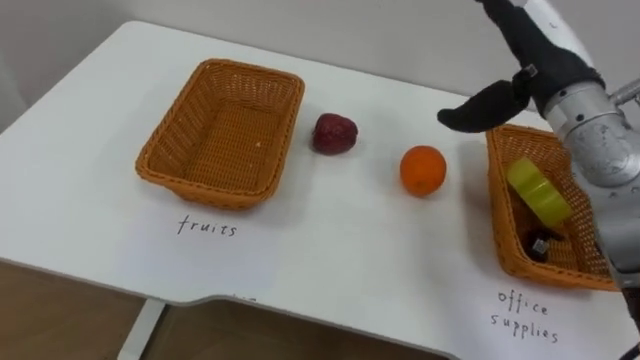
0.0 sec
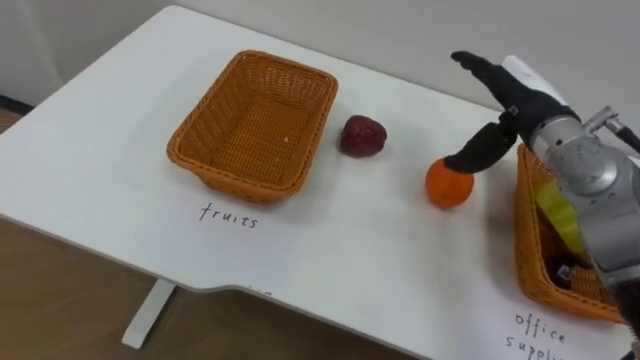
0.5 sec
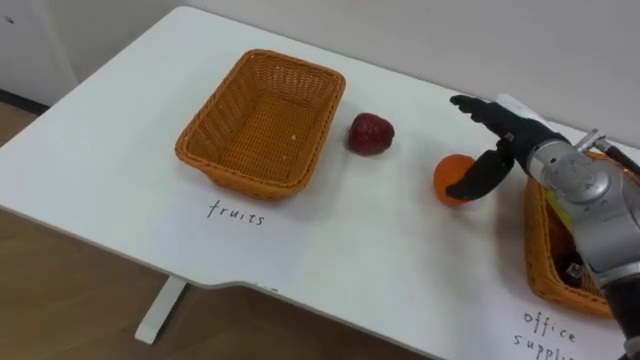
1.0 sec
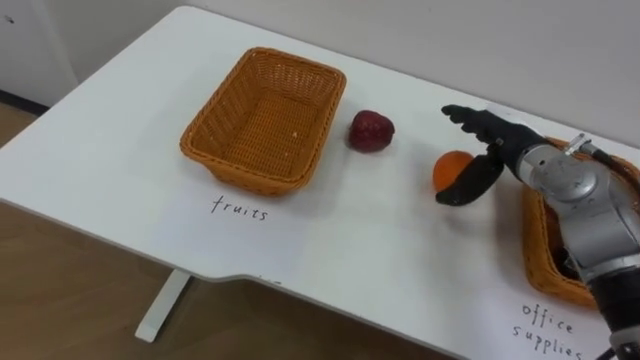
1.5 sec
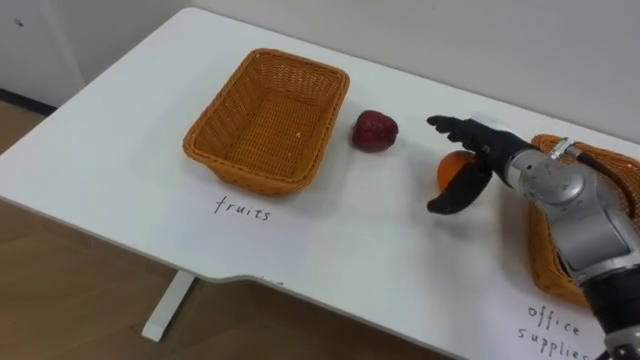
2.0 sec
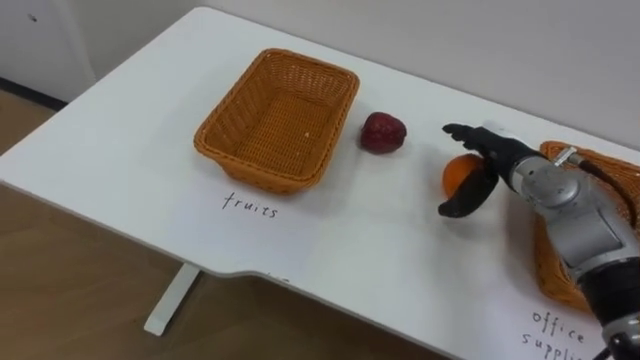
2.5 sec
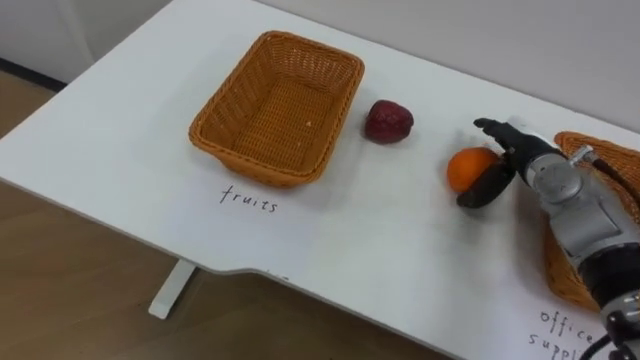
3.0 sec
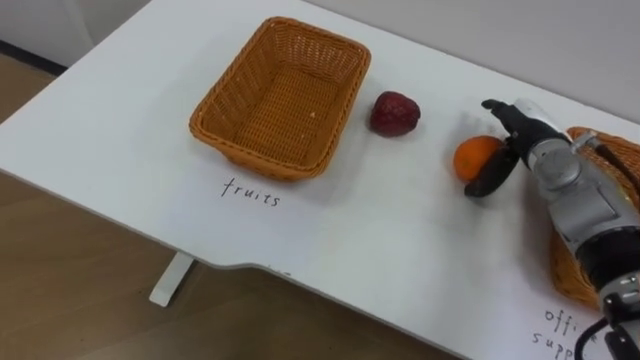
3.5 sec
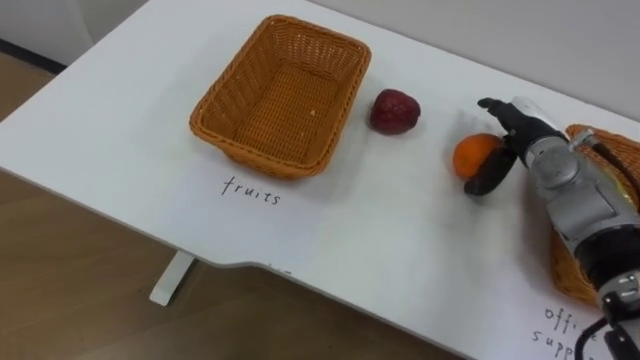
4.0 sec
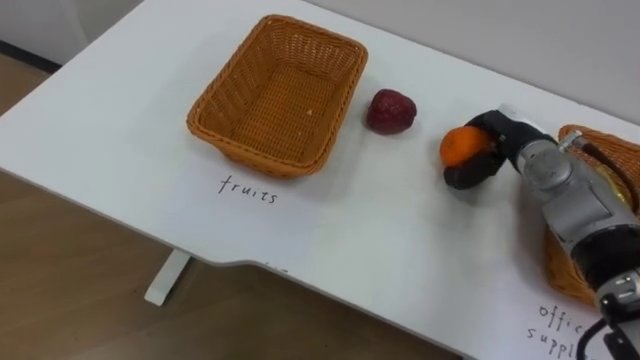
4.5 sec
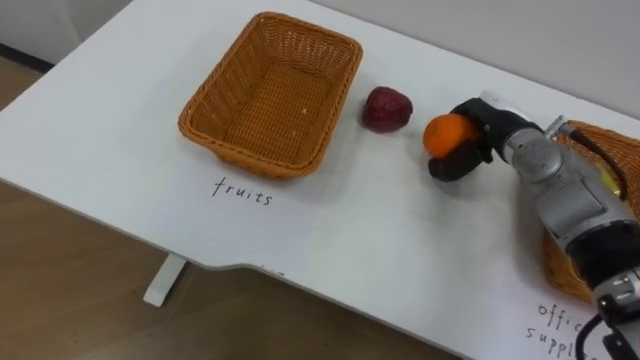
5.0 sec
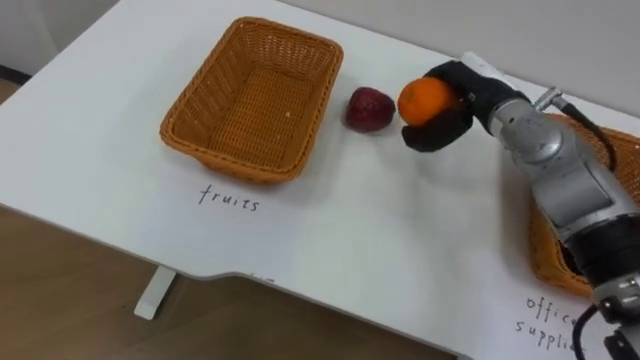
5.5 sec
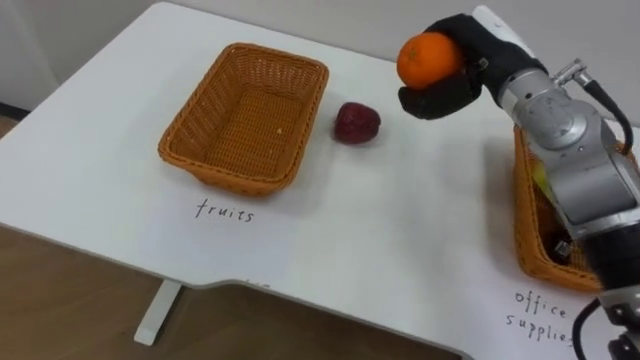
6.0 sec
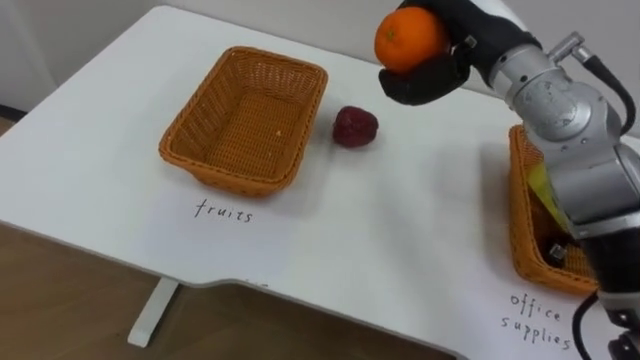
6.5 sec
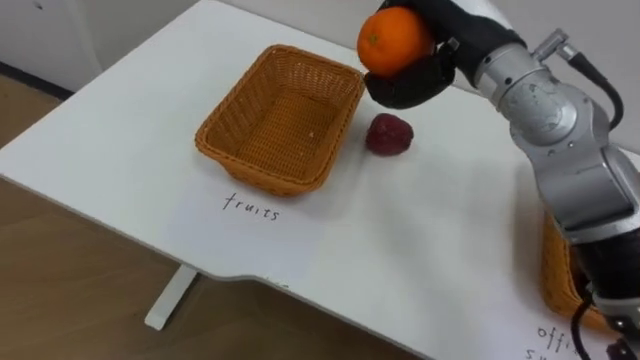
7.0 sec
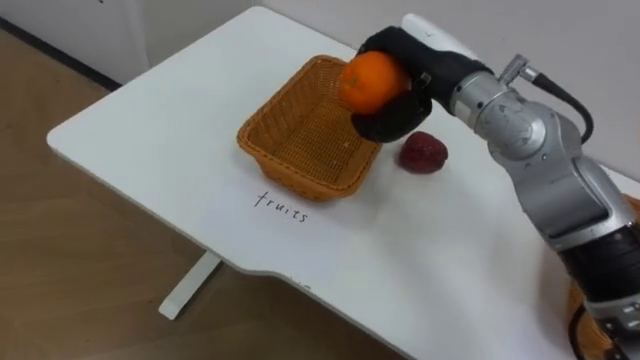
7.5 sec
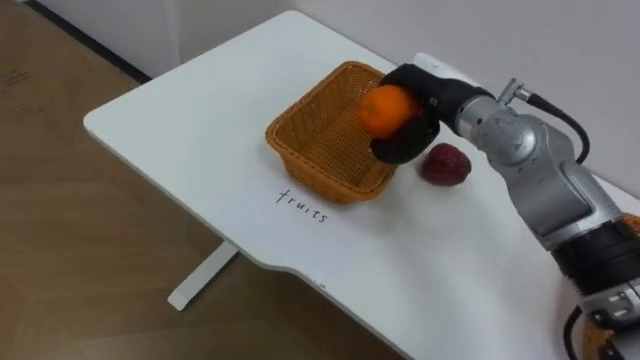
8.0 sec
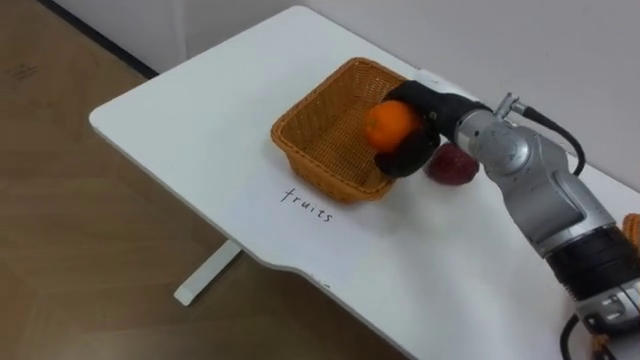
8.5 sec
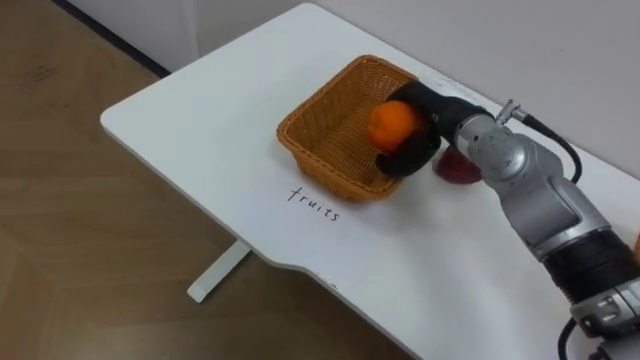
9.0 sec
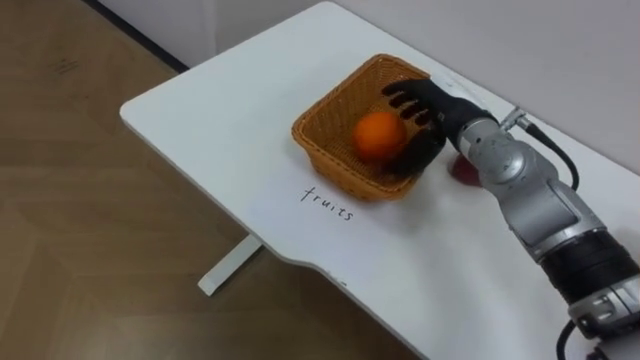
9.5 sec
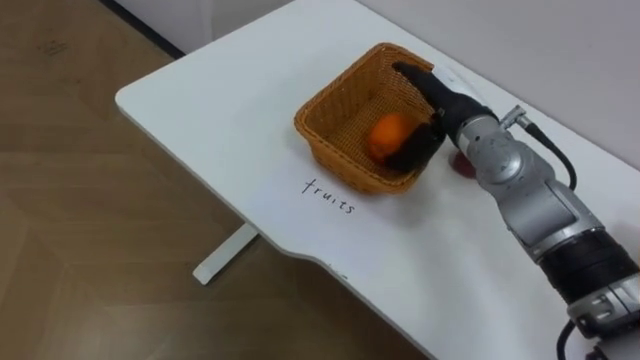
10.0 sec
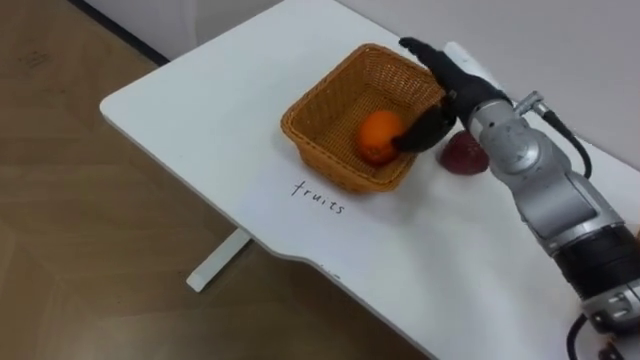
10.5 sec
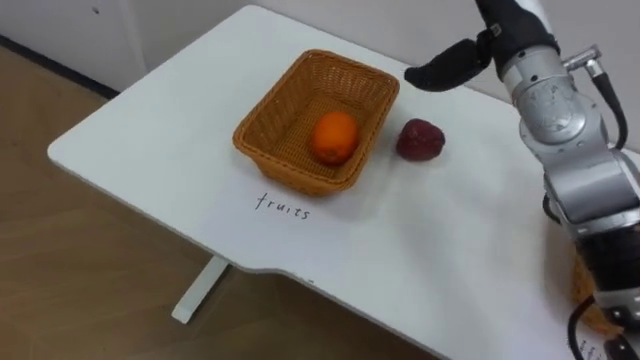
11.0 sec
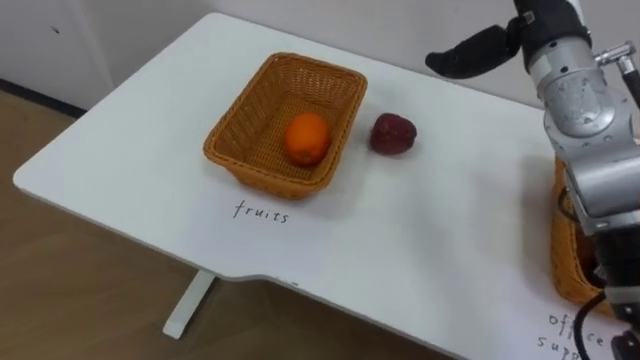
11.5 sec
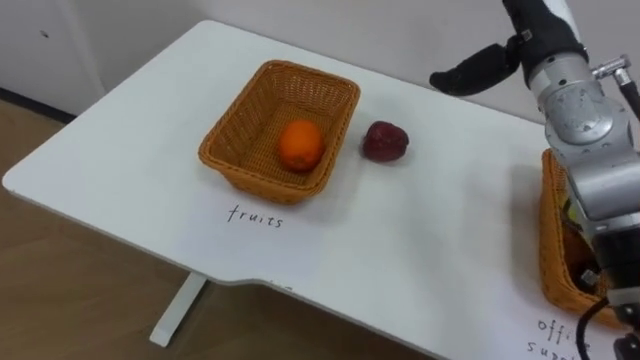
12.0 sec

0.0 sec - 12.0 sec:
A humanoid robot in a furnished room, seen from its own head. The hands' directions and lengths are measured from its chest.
Task of the whole recording: Separate the items on the table and place them into the two baskets.
0.0 sec - 2.0 sec: The right hand moves downward, approximately 15 cm.
2.0 sec - 4.0 sec: The right hand moves some 5 cm.
4.0 sec - 6.0 sec: The right hand shifts approximately 15 cm upward and to the left, and closes up.
6.0 sec - 8.0 sec: The right hand changes place by approximately 5 cm.
8.0 sec - 10.0 sec: The right hand opens up.
10.0 sec - 12.0 sec: The right hand heads upward and to the right, covering approximately 10 cm.

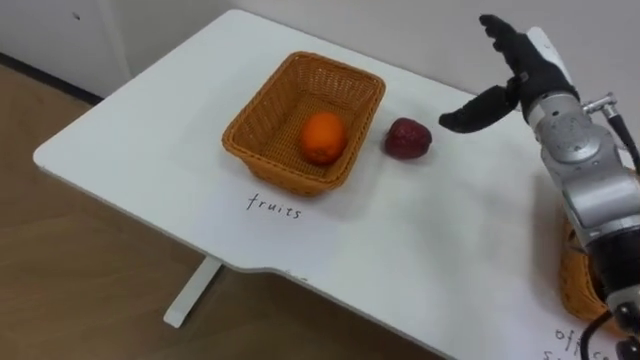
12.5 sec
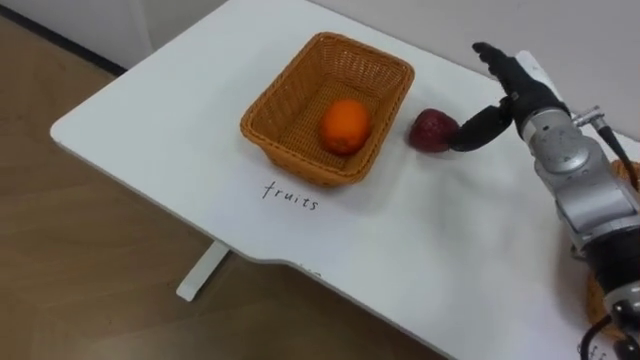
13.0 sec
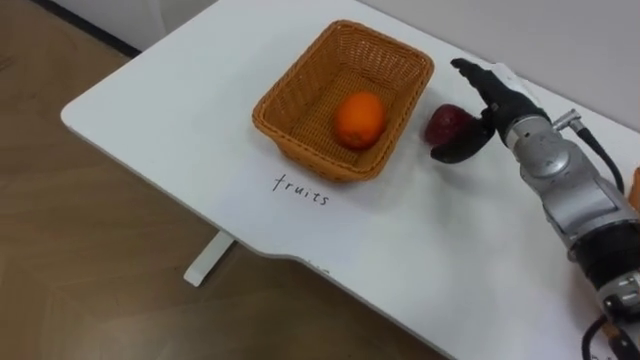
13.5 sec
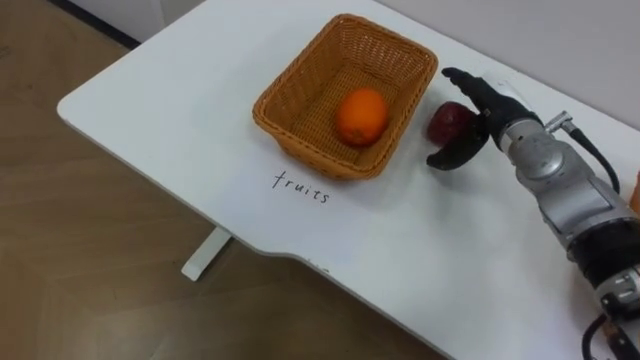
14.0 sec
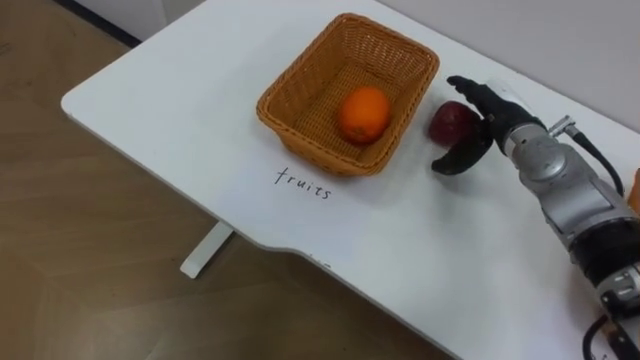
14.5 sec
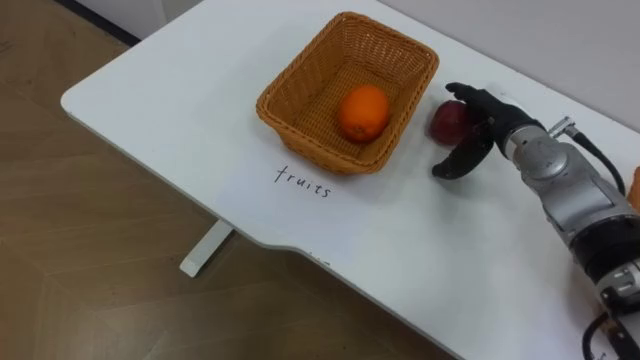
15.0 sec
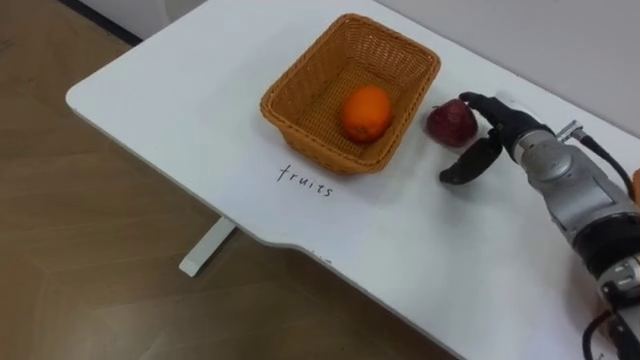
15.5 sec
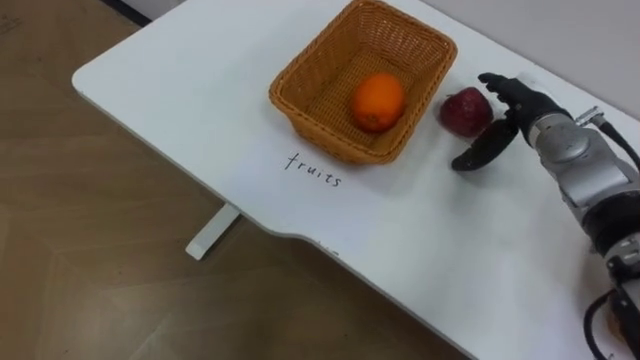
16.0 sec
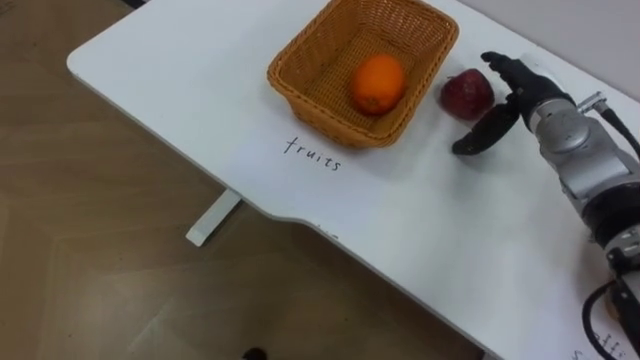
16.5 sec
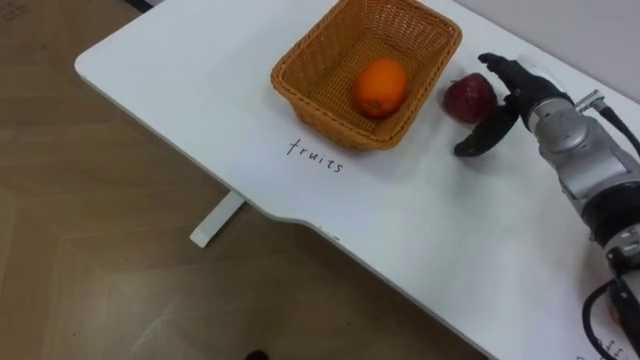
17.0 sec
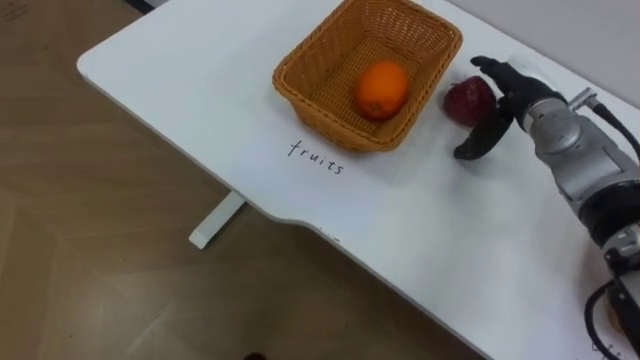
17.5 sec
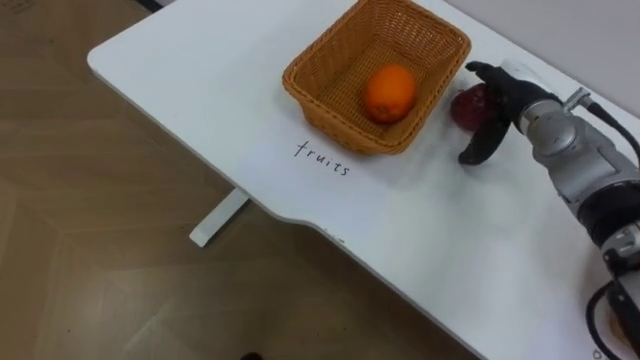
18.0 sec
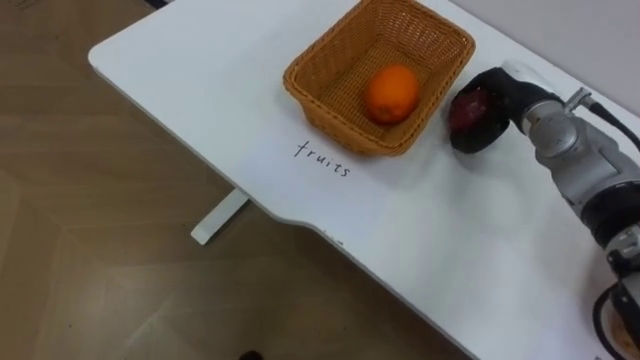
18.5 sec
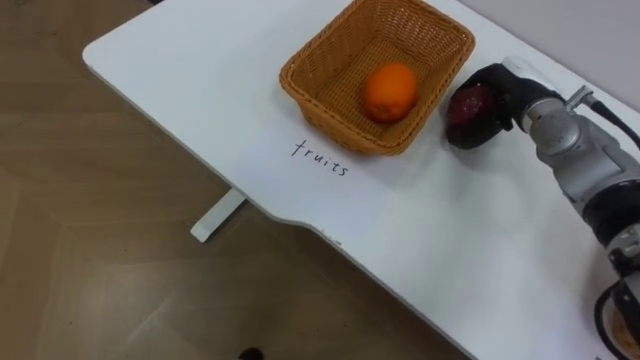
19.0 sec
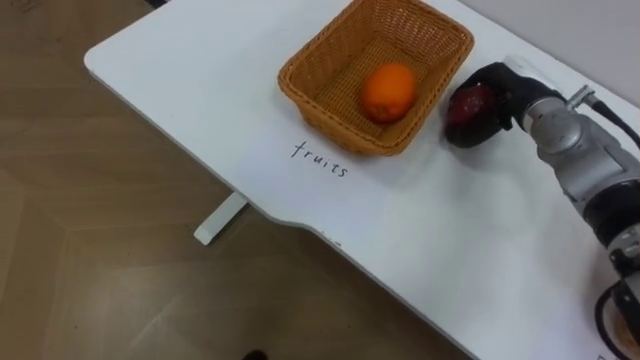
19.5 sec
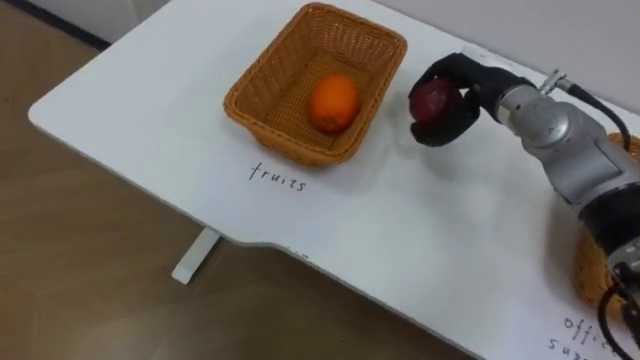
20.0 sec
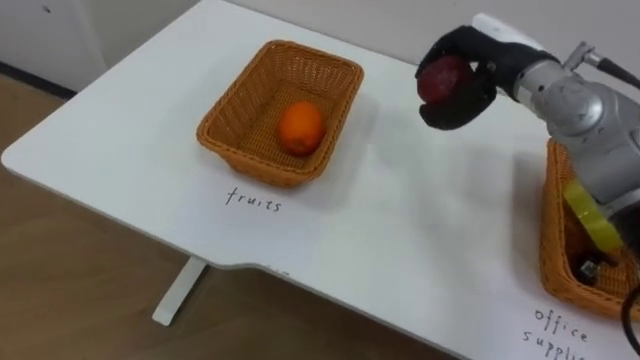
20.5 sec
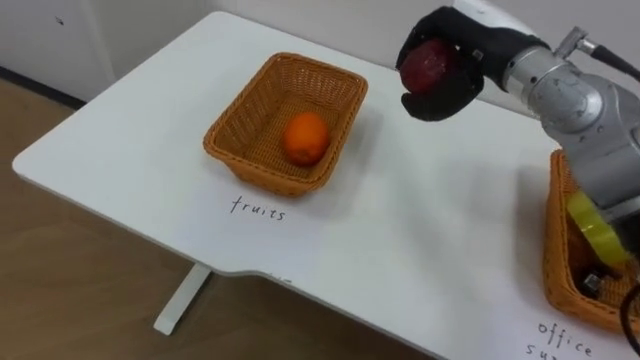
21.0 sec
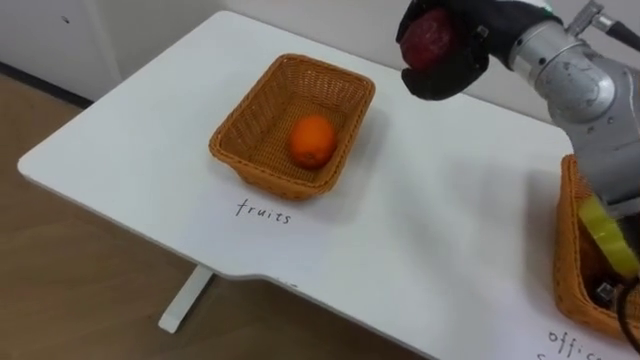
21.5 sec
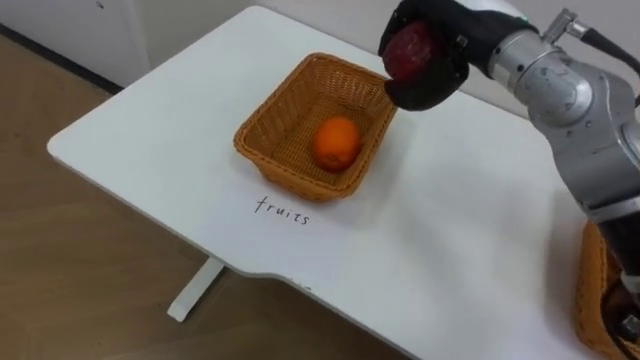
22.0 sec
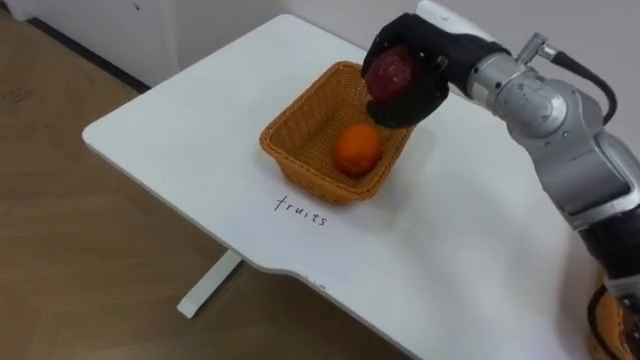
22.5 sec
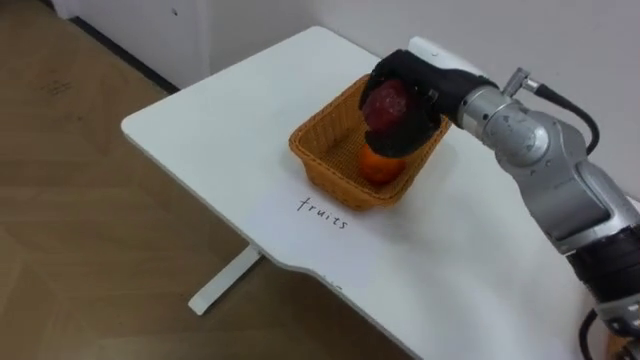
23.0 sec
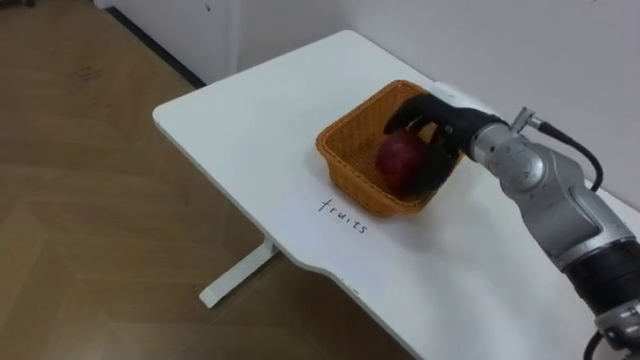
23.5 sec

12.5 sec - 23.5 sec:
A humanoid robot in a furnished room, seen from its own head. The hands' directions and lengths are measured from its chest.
Task of the whole recording: Separate the items on the table and place them into the two baskets.
12.5 sec - 14.5 sec: The right hand shifts about 5 cm downward.
18.0 sec - 20.0 sec: The right hand shifts by about 5 cm, and closes.
20.0 sec - 21.5 sec: The right hand goes some 10 cm upward.
21.5 sec - 23.5 sec: The right hand shifts some 15 cm downward.
